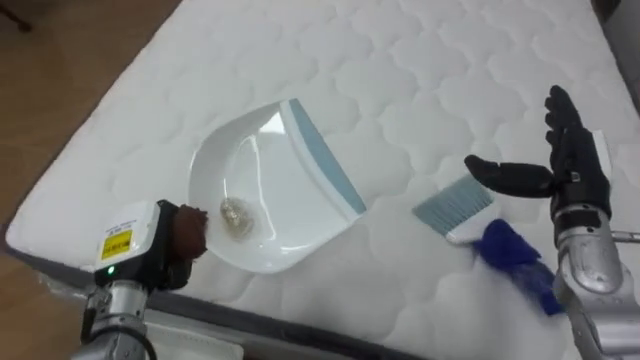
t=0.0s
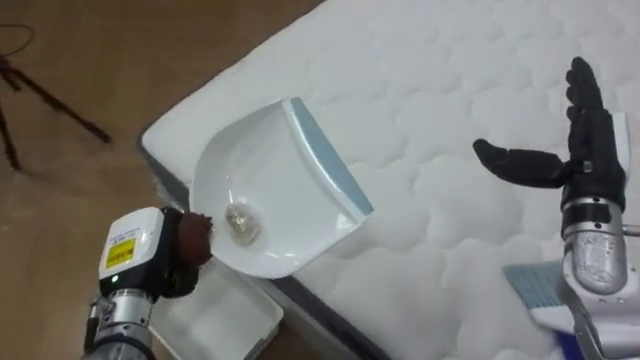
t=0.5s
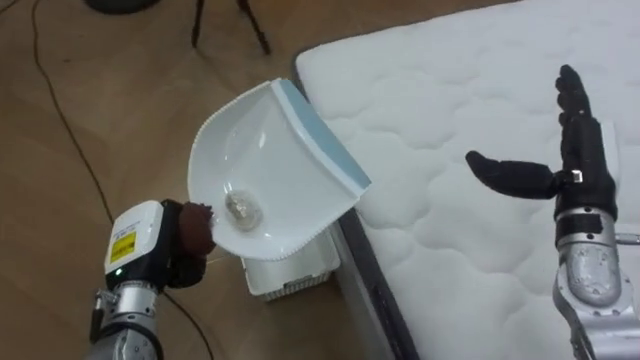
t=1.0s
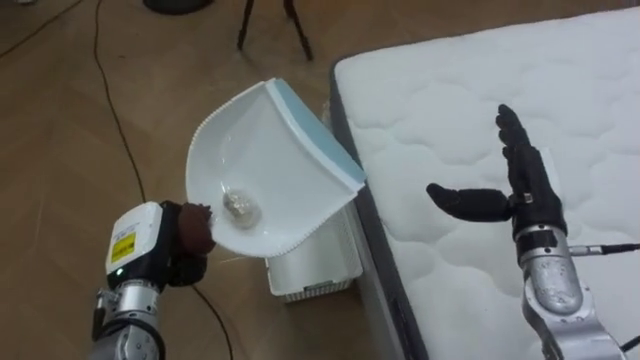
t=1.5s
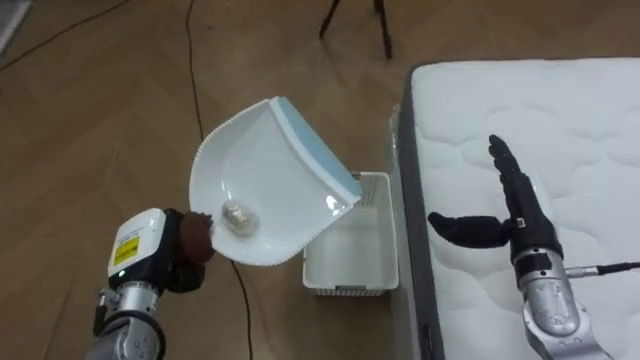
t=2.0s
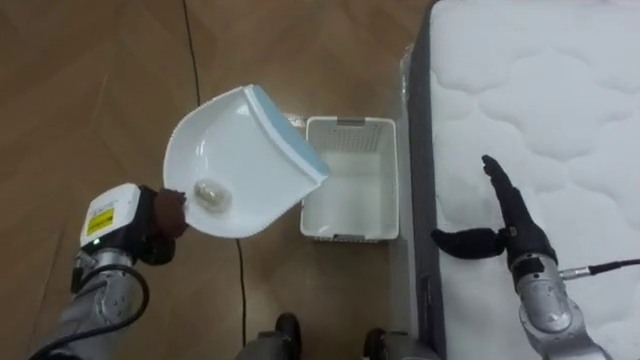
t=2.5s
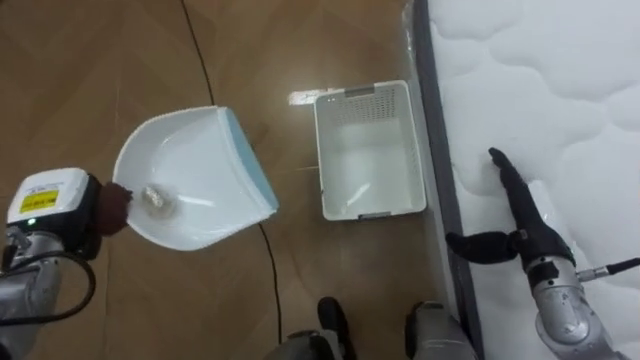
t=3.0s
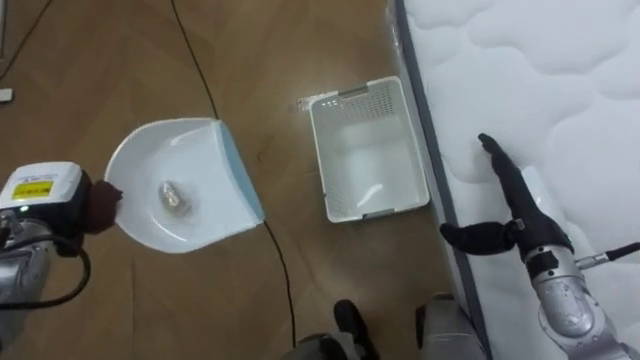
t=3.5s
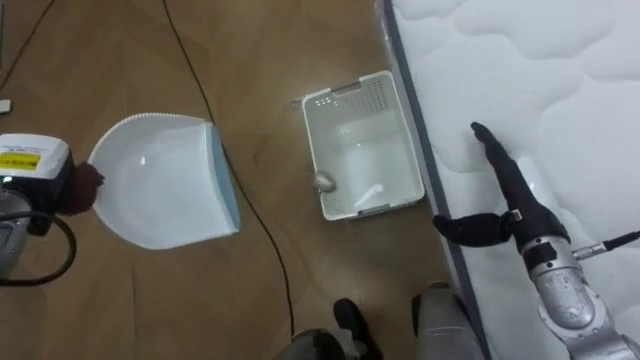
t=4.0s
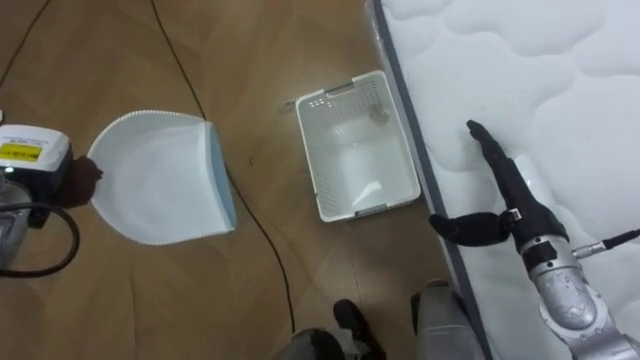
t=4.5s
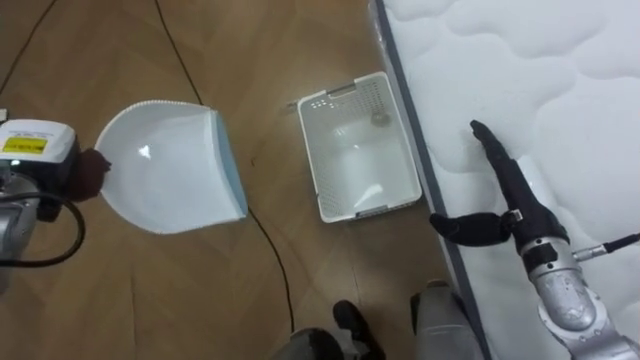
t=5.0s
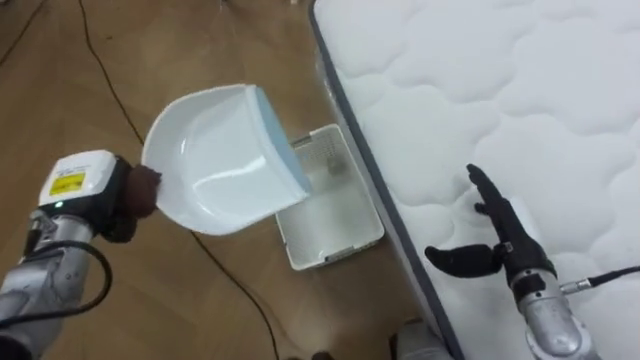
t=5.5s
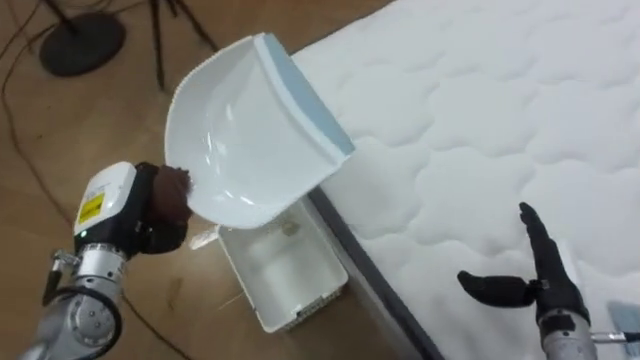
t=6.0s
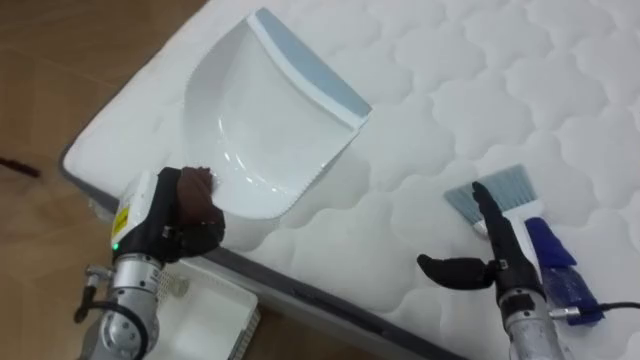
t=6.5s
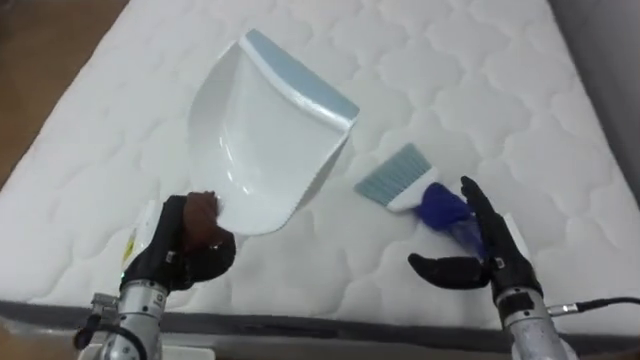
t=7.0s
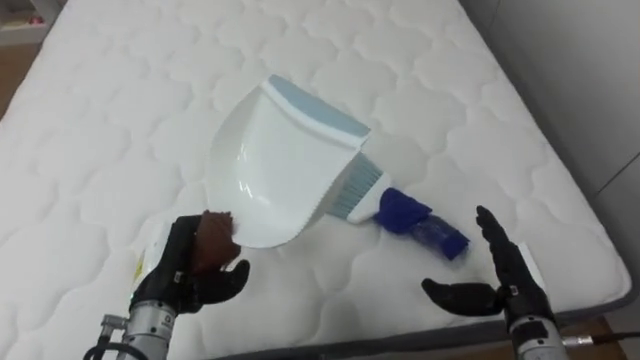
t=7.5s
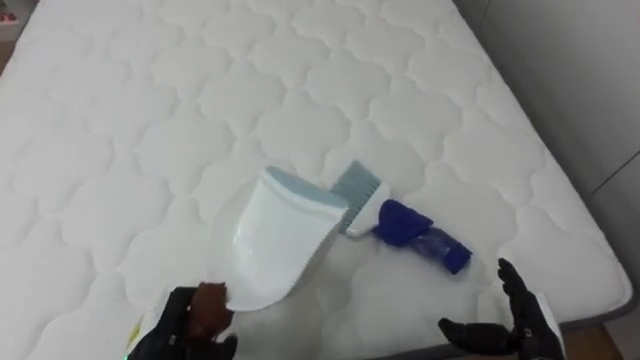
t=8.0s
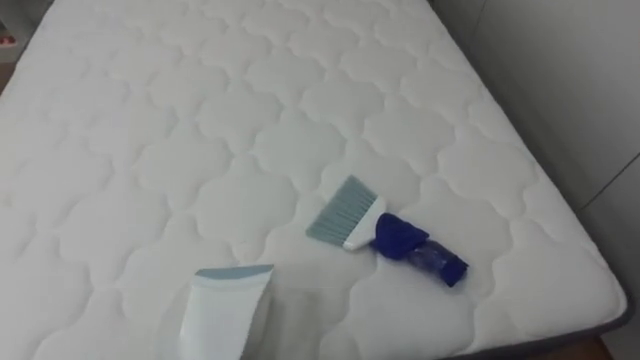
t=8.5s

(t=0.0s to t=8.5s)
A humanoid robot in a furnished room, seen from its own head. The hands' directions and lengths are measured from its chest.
Task of the whole recording: Pick up the brush on your right and the dustpan on your left. Use the brush to sweep the crumpled paper on the bed into the dustpan, then turn left and empty it into the basket.
t=0.0s - t=2.0s: The robot faces some 80 degrees further to its left. The right hand ends up roughly 5 cm from where it was.
t=2.0s - t=4.0s: The left hand is displaced to the left, upward and forward by roughly 15 cm.
t=4.0s - t=6.5s: The robot faces some 75 degrees further to its right. The left hand goes some 15 cm to the right; the right hand is displaced downward by roughly 5 cm.
t=6.5s - t=8.5s: The robot faces roughly 30 degrees further to its right.

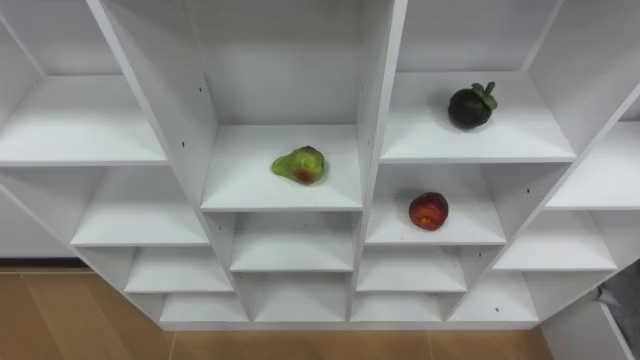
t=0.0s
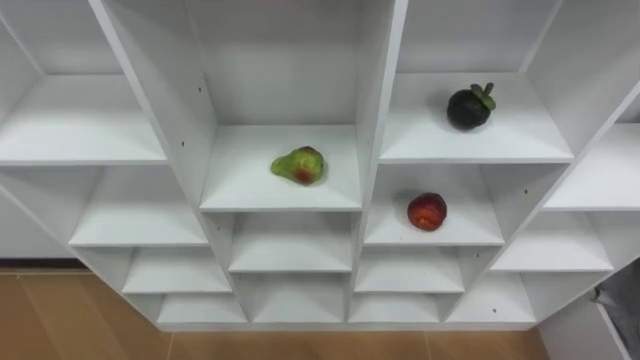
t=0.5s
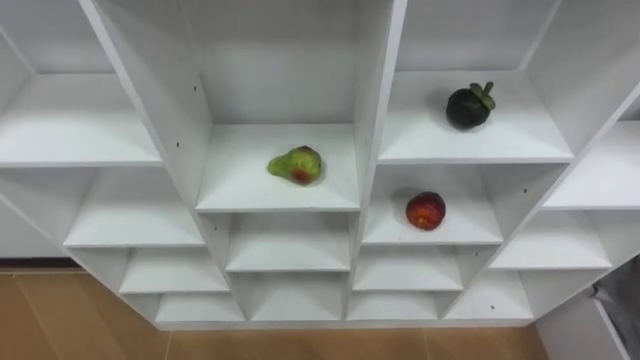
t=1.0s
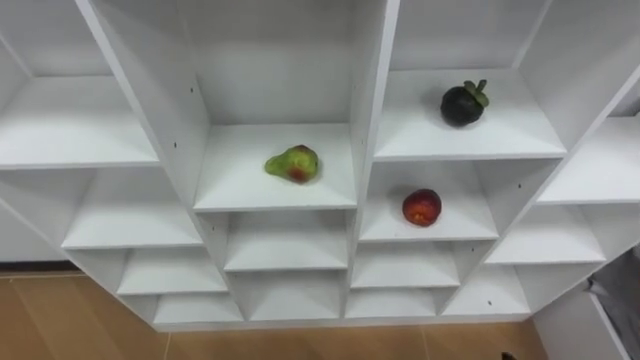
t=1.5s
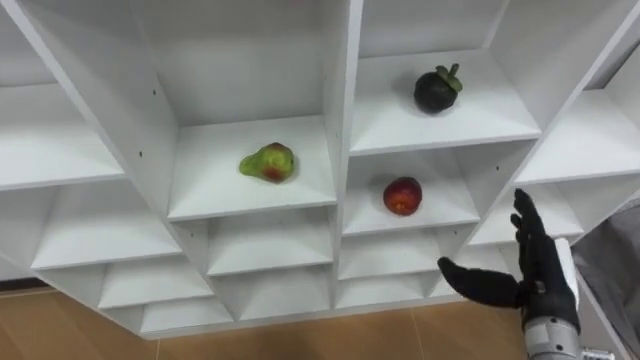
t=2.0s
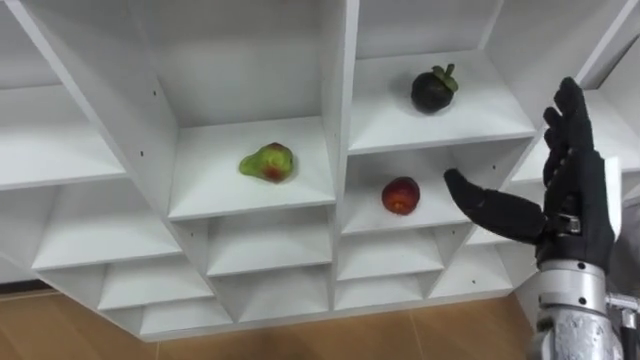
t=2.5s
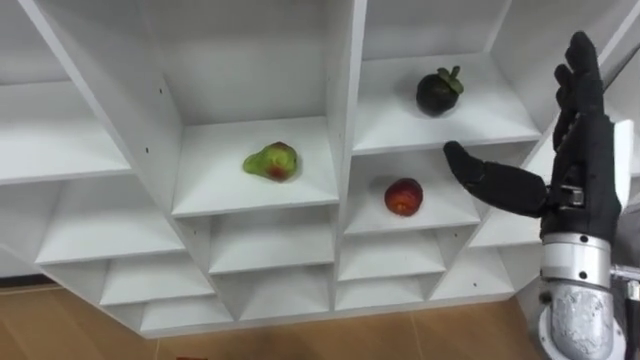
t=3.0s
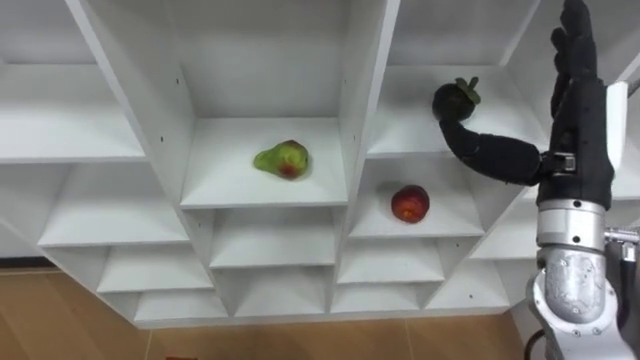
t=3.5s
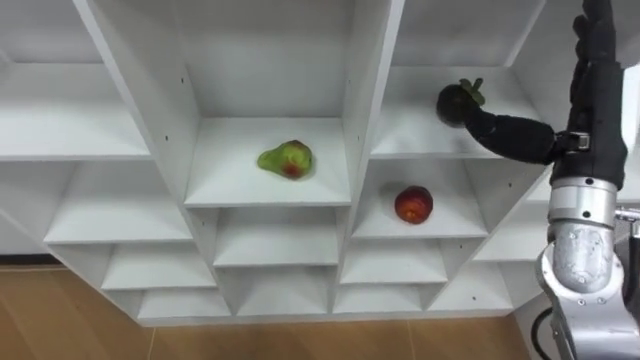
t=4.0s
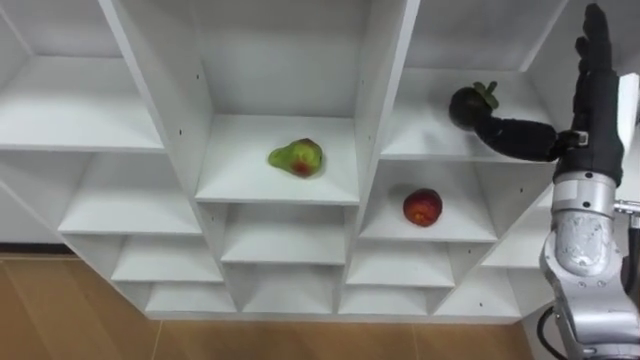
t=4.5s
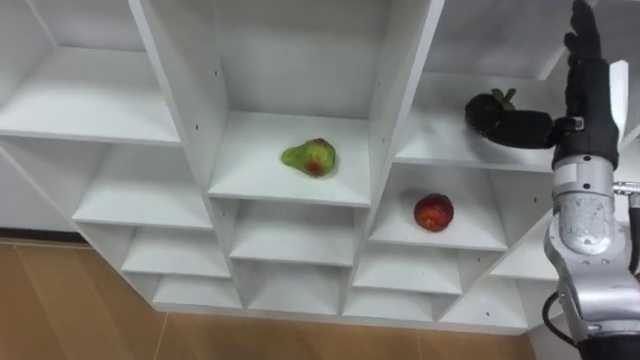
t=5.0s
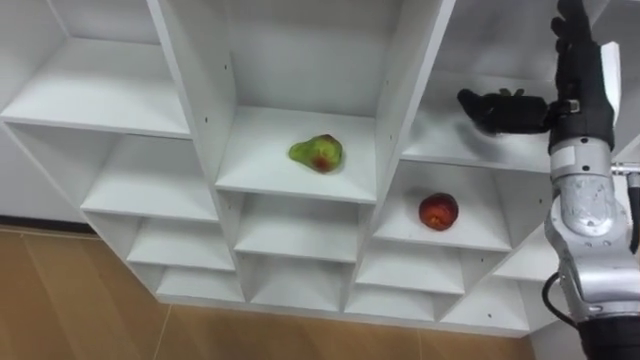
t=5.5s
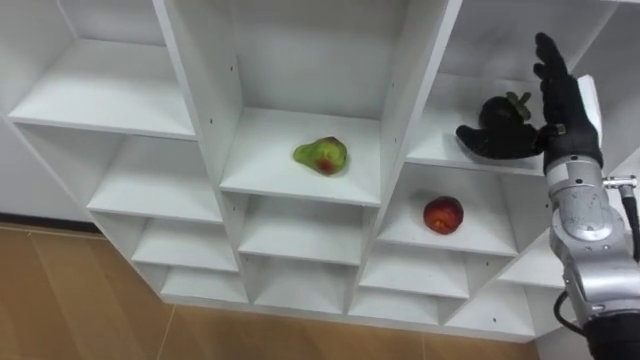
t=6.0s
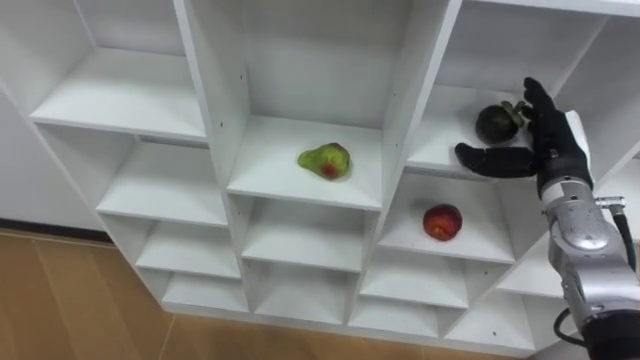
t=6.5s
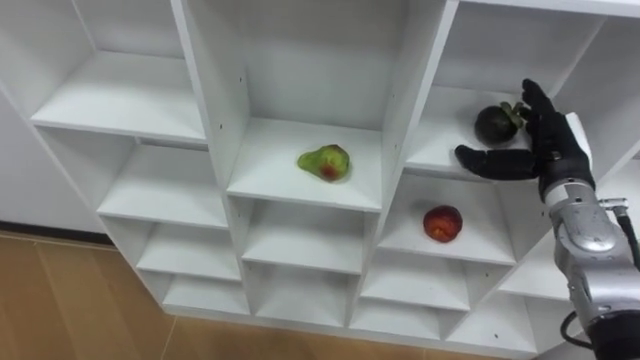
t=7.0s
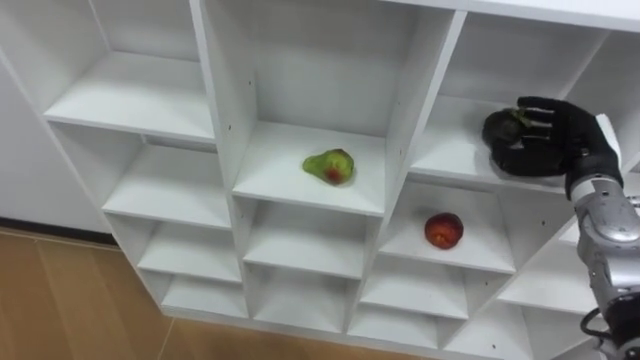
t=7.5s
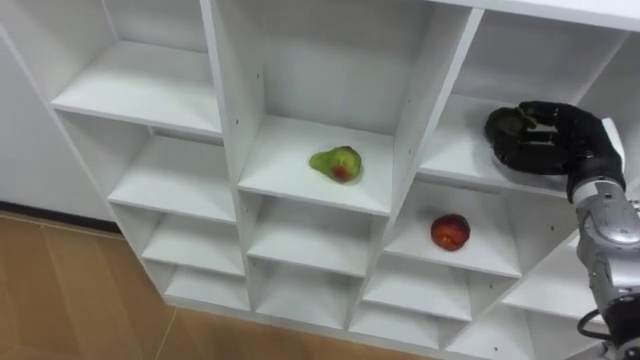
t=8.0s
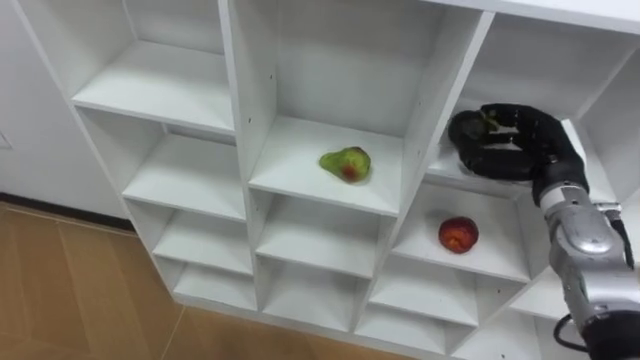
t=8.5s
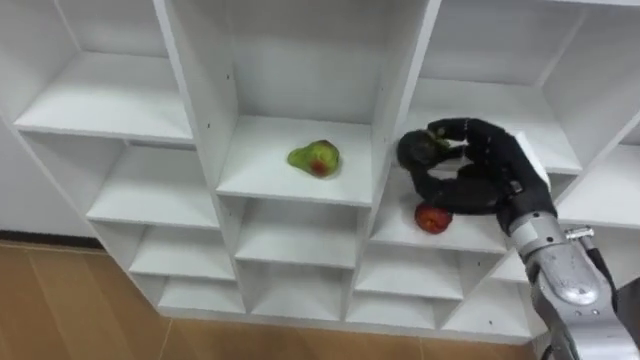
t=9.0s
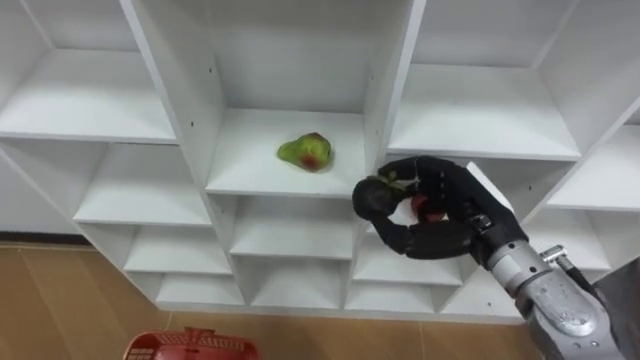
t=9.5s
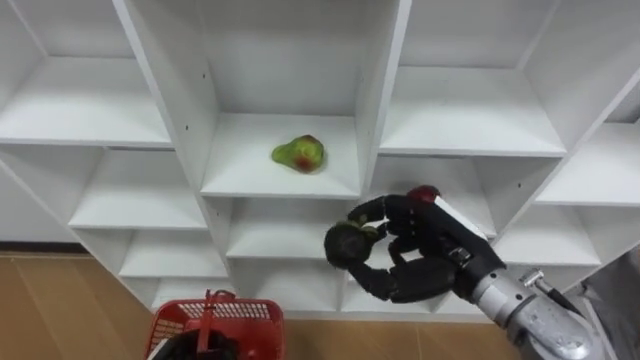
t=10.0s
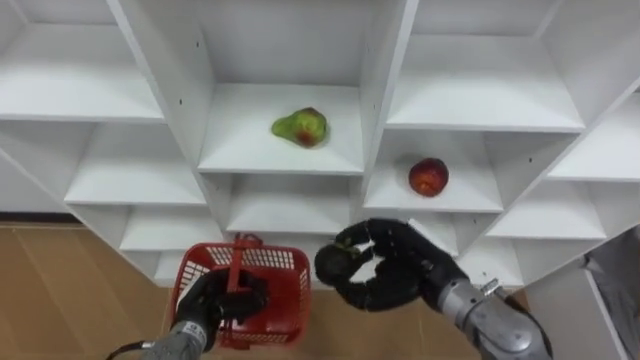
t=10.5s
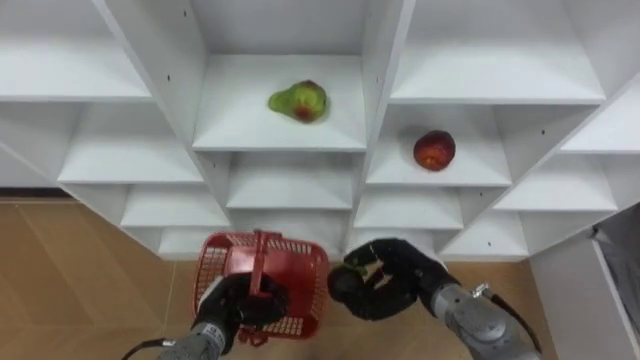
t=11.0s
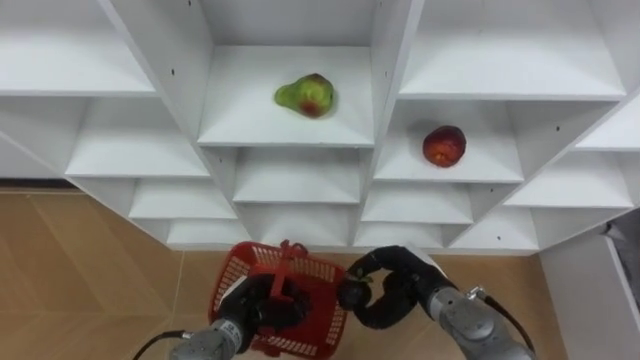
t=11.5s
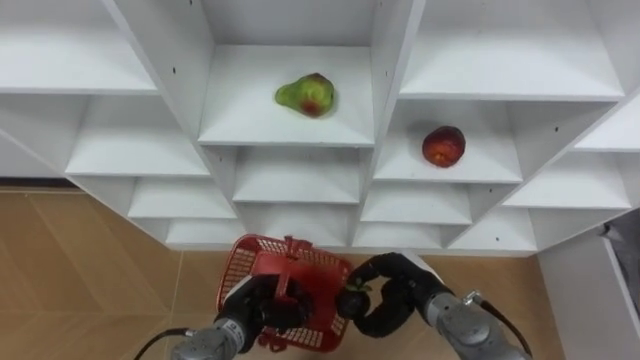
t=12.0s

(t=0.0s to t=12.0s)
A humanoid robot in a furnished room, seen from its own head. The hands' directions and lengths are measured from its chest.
Task of the whole recording: Hold the basket and collect the fruits from 3 different cells of the closet into it.
t=2.0s - t=4.0s: The right hand is displaced upward and forward by about 20 cm.
t=4.0s - t=6.0s: The right hand shifts roughly 10 cm forward and downward.
t=6.0s - t=8.0s: The right hand is displaced downward by roughly 5 cm, and closes its fingers.
t=8.0s - t=10.0s: The right hand travels to the left and backward by some 20 cm.
t=10.0s - t=12.0s: The right hand goes approximately 15 cm downward.
